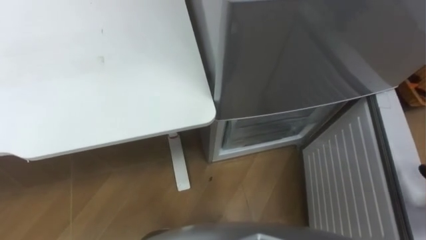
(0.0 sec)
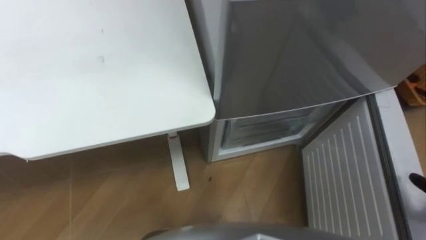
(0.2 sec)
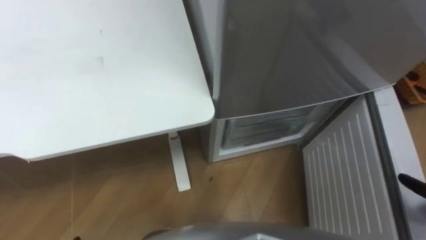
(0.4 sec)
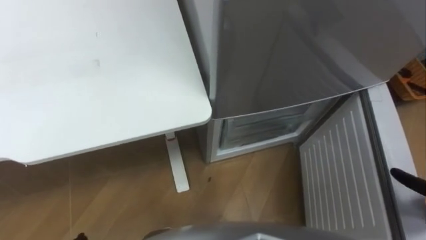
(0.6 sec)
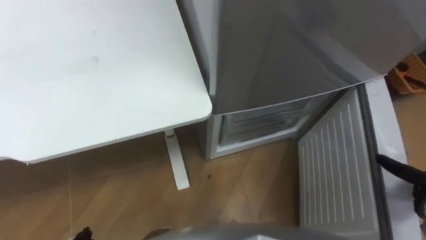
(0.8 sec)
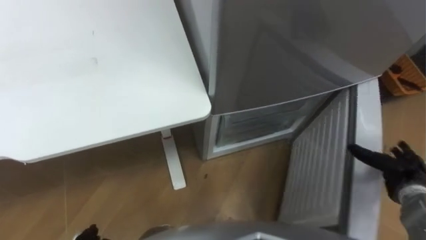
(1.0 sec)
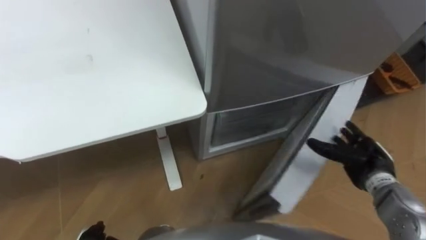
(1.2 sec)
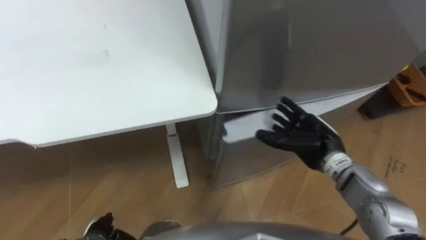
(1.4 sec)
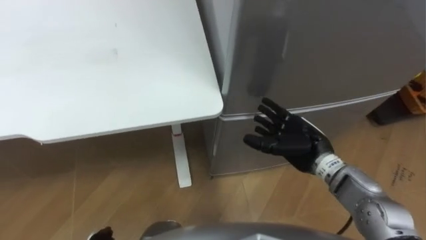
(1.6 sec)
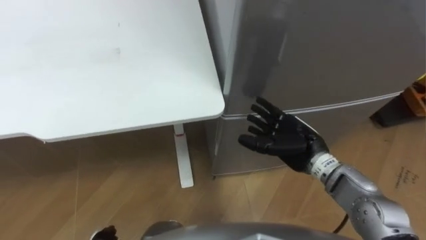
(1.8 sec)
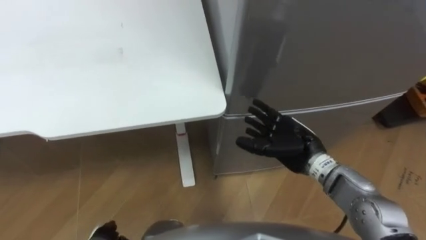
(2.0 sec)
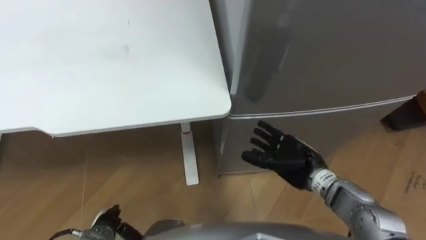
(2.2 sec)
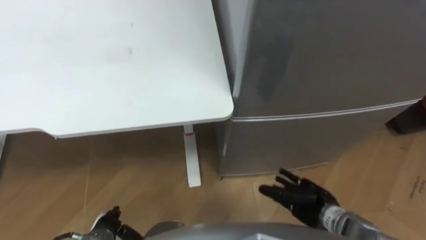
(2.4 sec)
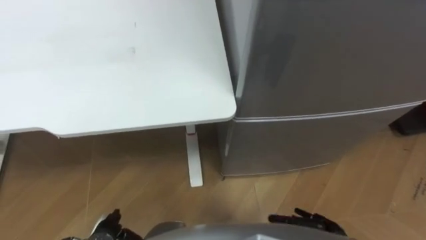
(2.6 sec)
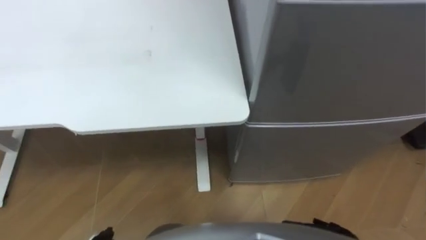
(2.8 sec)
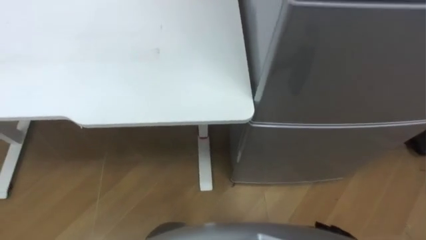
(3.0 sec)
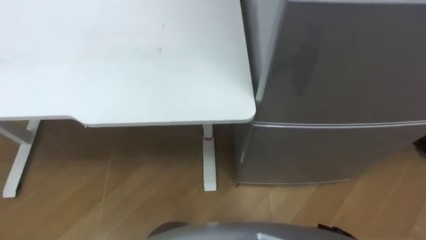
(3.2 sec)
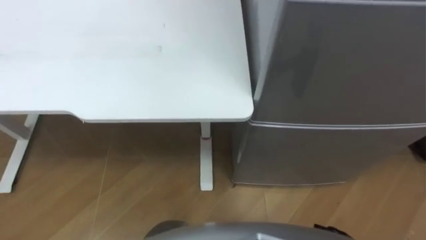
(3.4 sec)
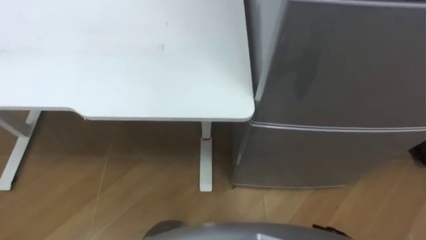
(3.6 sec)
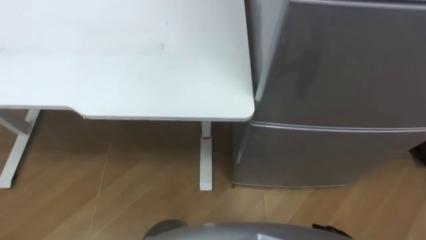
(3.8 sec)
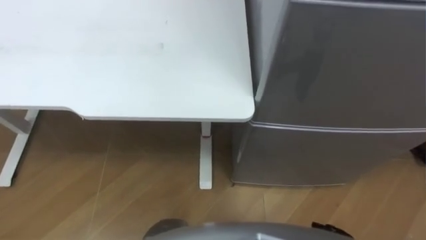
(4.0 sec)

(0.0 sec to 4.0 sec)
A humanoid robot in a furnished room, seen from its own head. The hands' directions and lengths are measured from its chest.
Task of the whole recording: Place the drink on the table on the bottom shelf of the refrigerator, then close the drawer and the refrigerator door.
1.4 sec - 2.6 sec: The right hand travels backward and downward by some 20 cm.

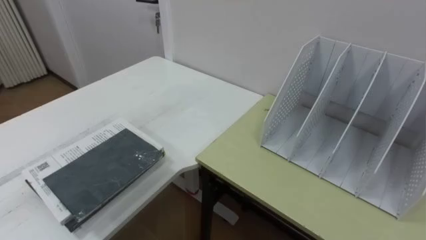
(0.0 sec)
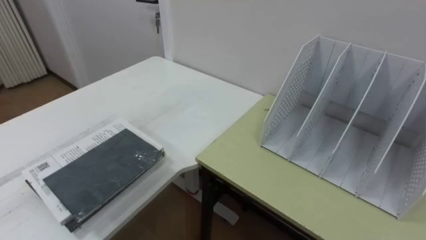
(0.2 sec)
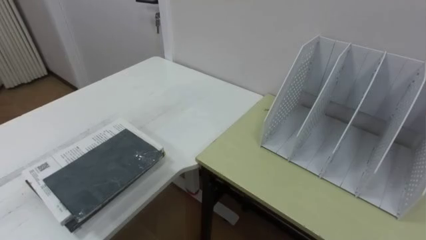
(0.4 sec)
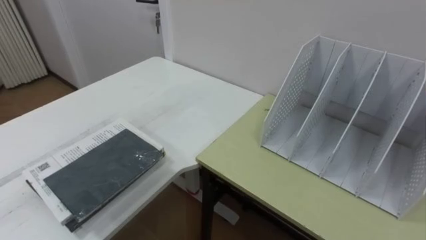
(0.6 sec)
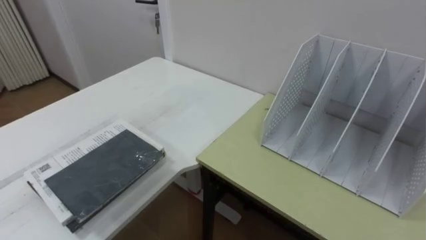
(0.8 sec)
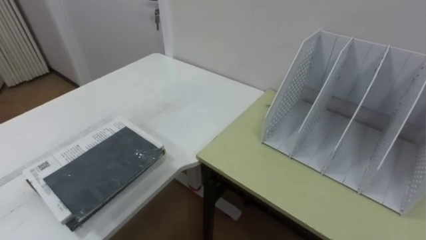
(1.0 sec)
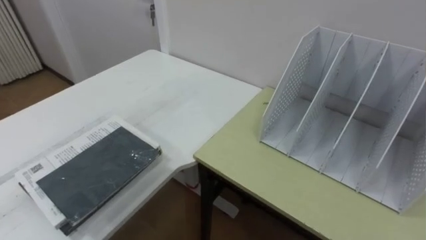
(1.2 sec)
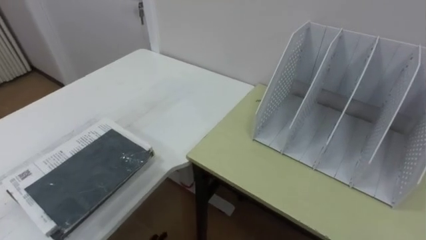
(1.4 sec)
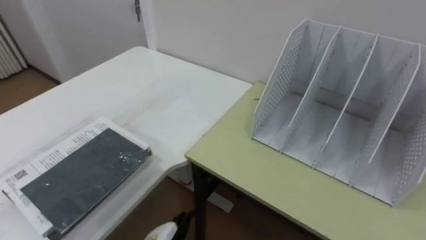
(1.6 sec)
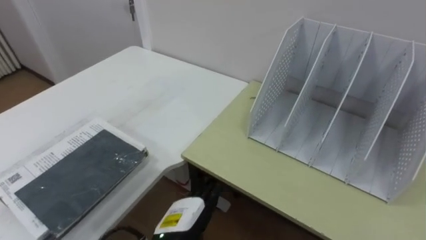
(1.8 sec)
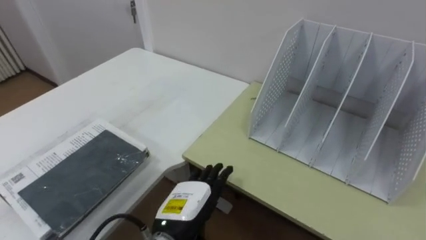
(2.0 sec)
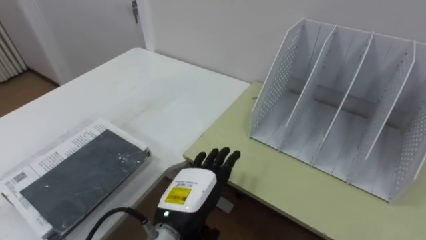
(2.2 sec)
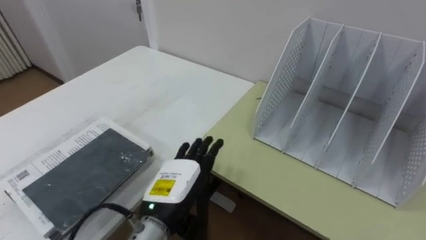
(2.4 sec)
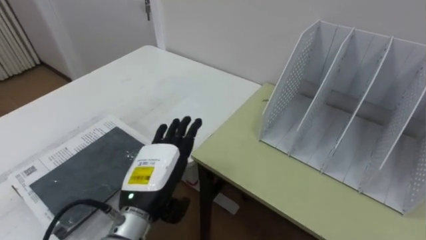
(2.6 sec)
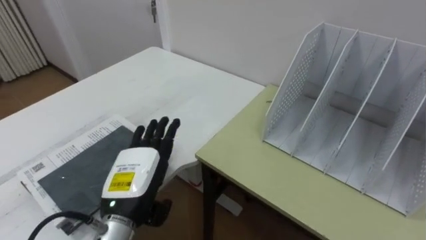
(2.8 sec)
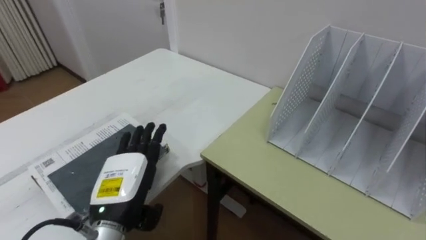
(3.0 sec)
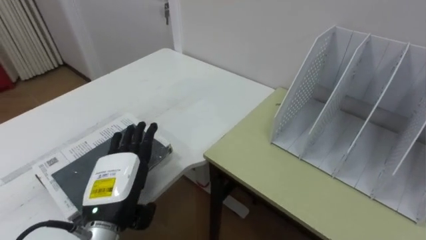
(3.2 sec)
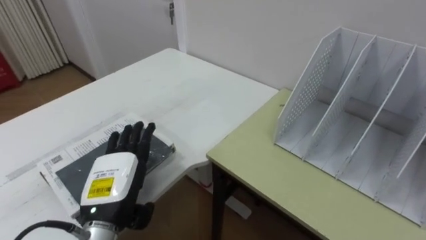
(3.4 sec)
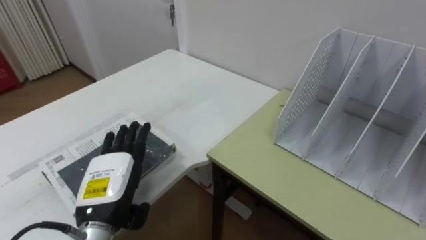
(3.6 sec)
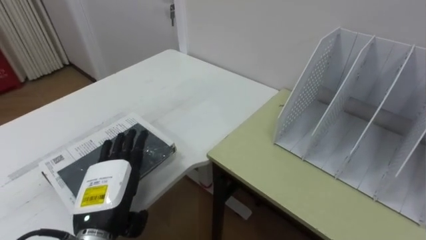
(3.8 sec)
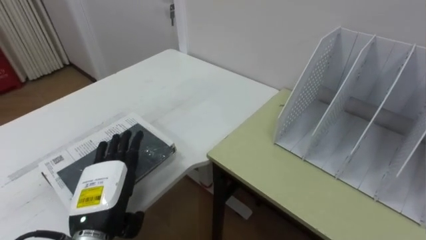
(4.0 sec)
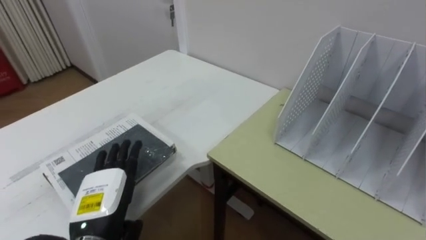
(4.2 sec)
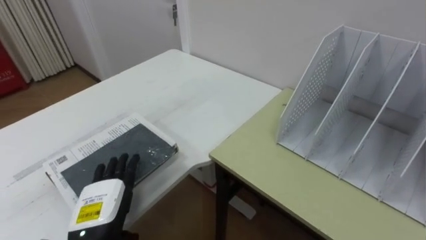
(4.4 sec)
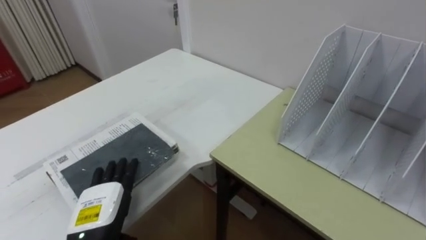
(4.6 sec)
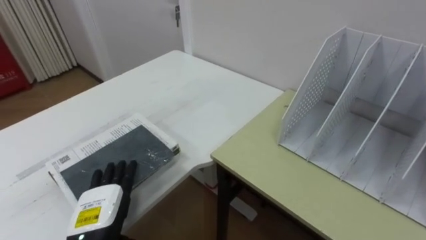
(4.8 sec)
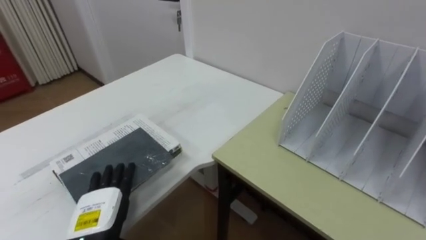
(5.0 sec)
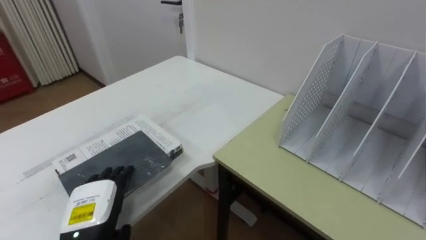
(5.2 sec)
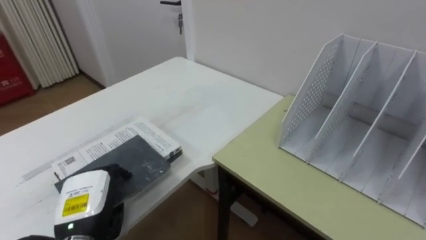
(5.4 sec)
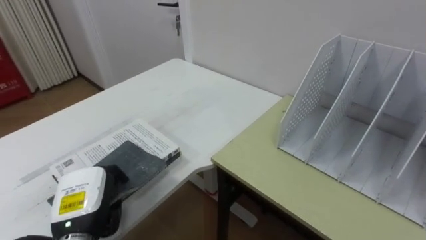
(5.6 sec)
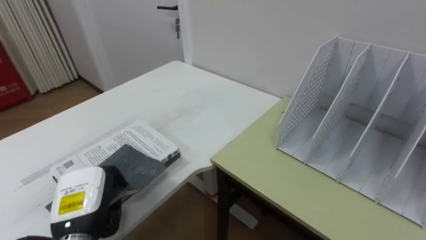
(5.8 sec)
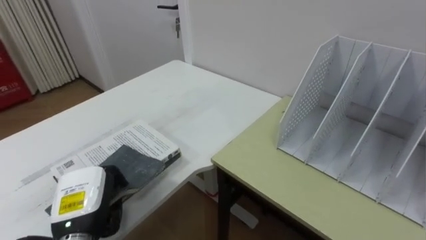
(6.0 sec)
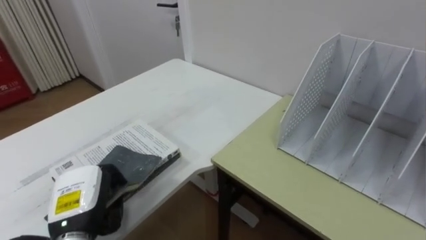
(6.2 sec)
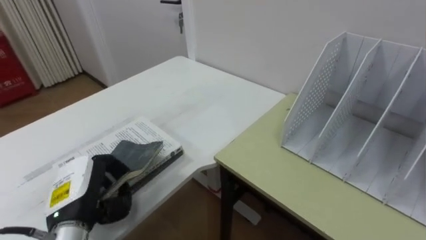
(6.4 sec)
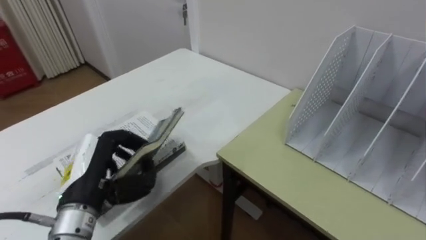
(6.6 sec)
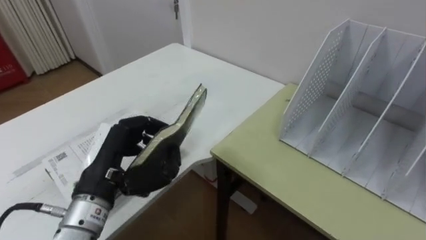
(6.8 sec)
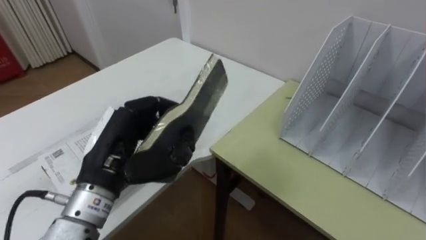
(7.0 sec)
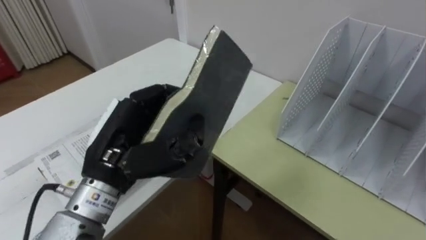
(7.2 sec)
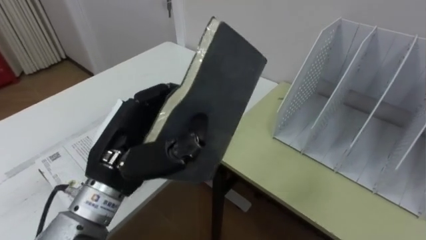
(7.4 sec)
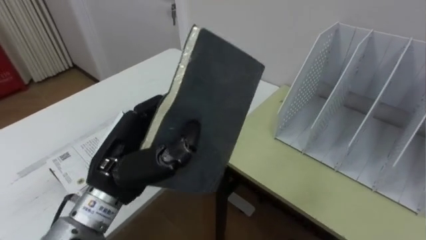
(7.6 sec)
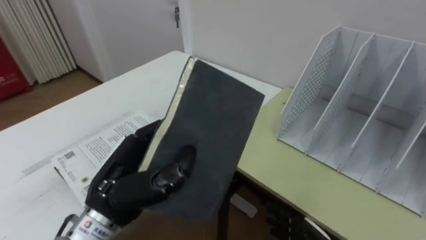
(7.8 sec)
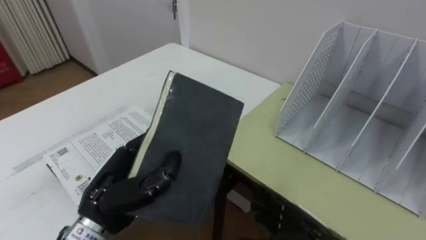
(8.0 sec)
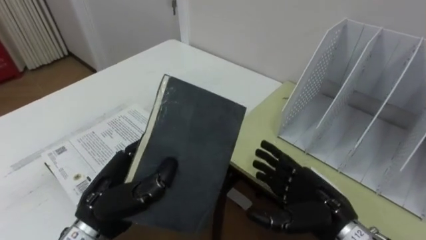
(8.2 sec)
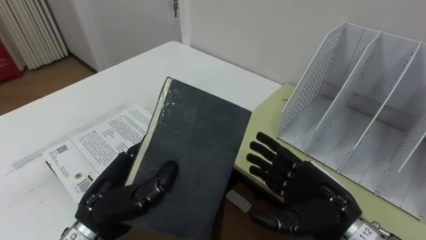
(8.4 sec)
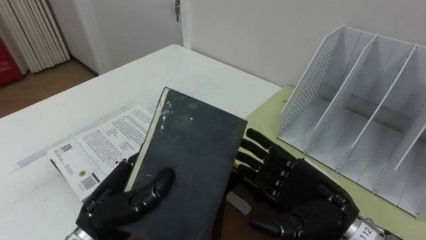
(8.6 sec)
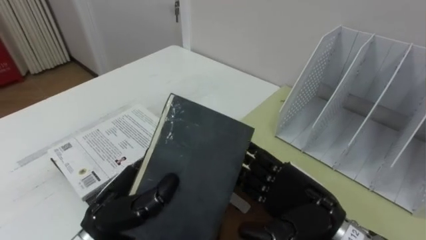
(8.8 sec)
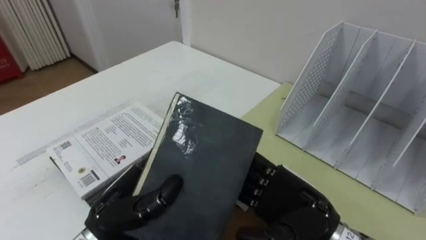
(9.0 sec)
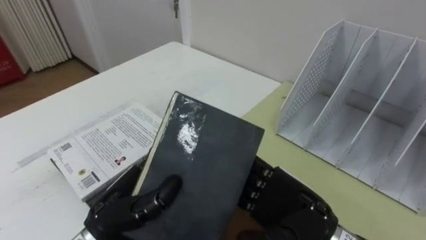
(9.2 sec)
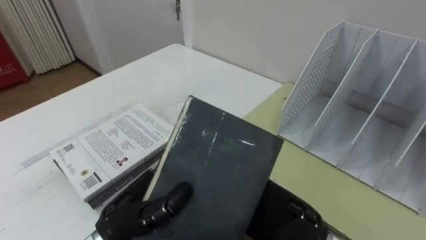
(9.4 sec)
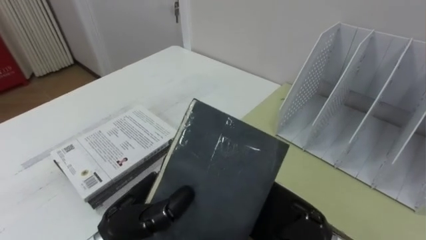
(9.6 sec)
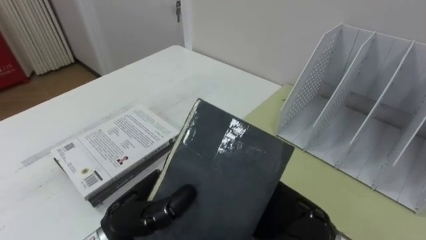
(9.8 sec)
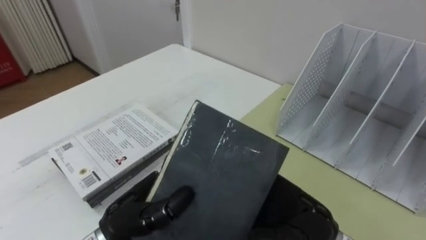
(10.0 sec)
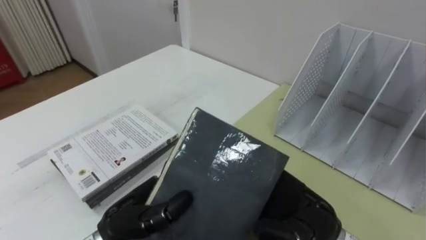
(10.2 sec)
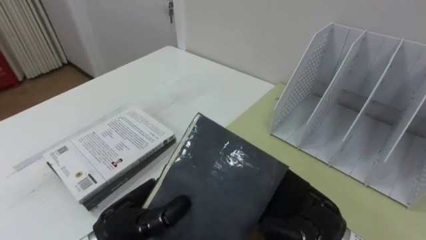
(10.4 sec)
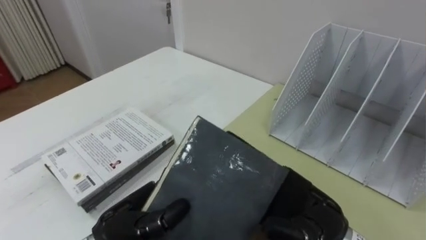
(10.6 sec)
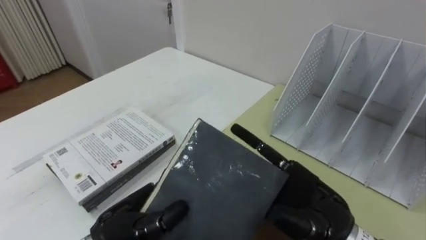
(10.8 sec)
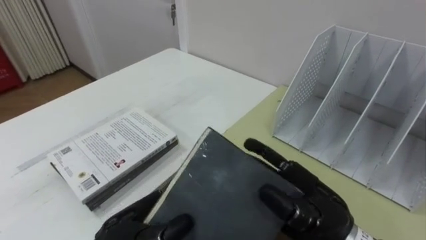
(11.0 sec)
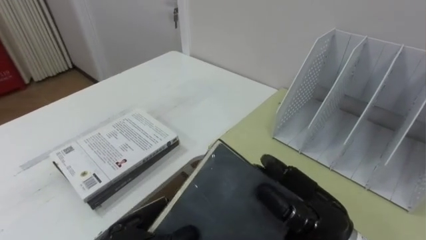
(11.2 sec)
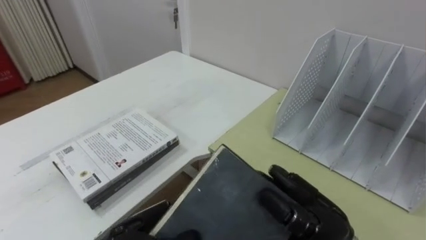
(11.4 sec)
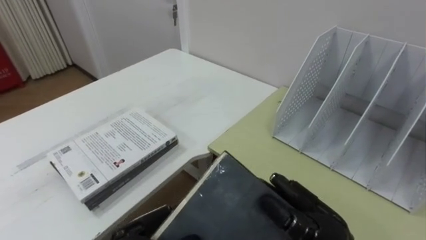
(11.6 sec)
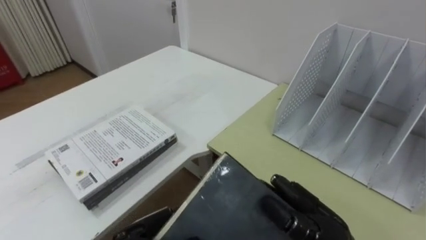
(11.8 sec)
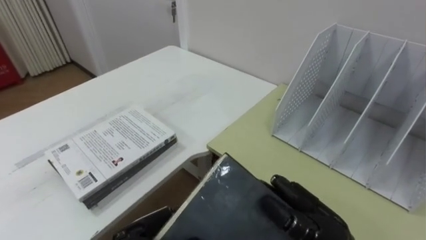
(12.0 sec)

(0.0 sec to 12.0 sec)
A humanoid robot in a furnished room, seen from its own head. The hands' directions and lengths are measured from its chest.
Task of the whole recording: Put the books on the table onto the bookshelf.
3.0 sec - 4.4 sec: The left hand shifts by some 5 cm.
4.4 sec - 6.0 sec: The left hand closes its fingers.
6.0 sec - 7.6 sec: The left hand goes approximately 15 cm upward and to the right.
7.6 sec - 9.0 sec: The left hand is displaced downward by roughly 10 cm.
9.0 sec - 10.4 sec: There are only small adjustments of the hands.
10.4 sec - 12.0 sec: The right hand closes.

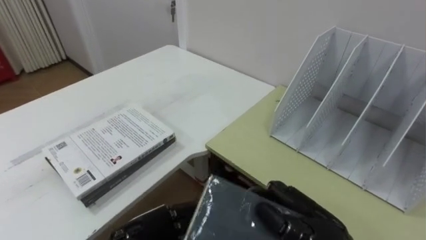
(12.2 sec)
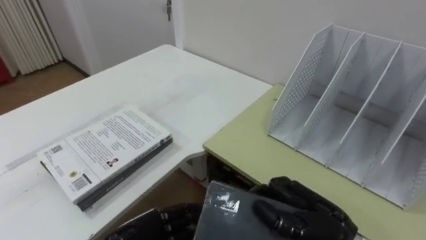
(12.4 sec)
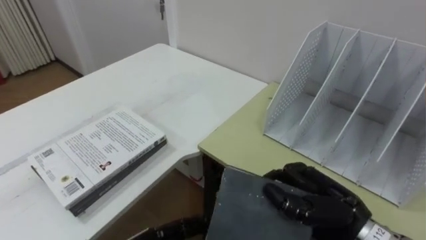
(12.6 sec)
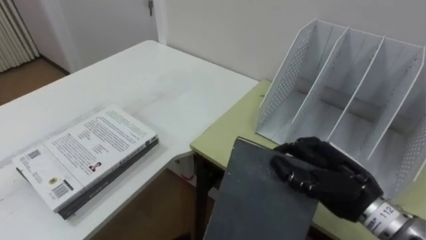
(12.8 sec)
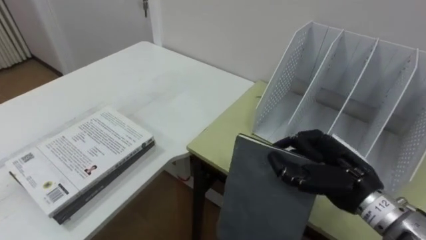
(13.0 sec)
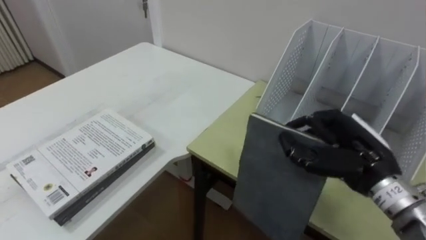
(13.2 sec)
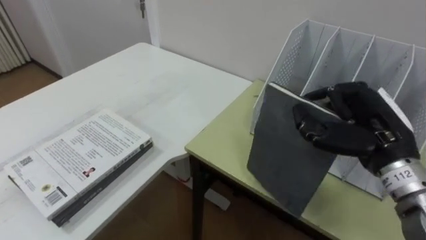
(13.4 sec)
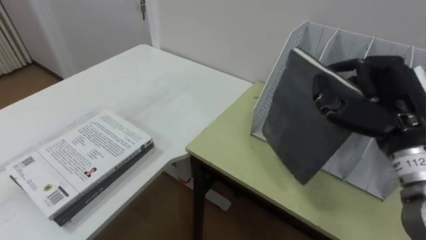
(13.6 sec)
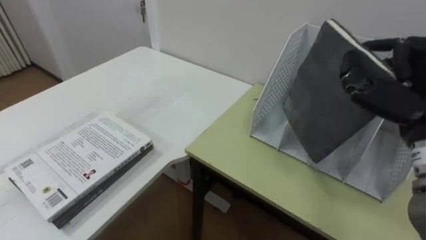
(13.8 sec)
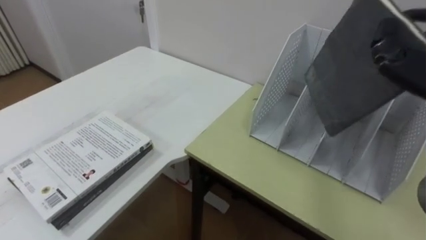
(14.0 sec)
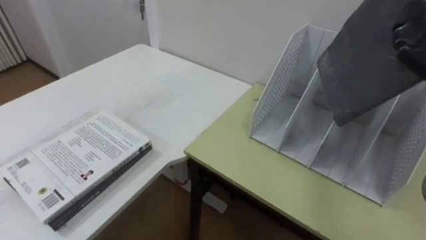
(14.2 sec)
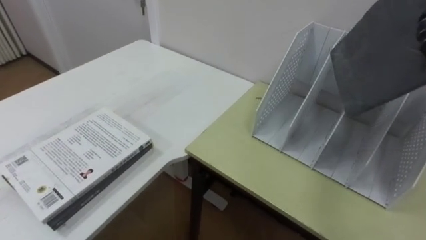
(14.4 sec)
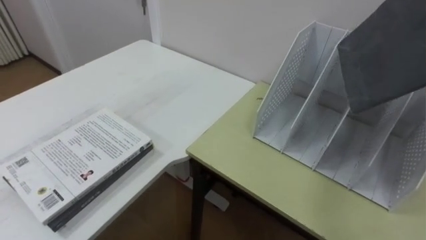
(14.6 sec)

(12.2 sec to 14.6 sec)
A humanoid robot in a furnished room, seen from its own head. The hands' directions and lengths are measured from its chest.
Task of the whole recording: Put the books on the table onto the bookshelf.
12.2 sec - 13.4 sec: The right hand is displaced upward, to the right and forward by some 15 cm.
